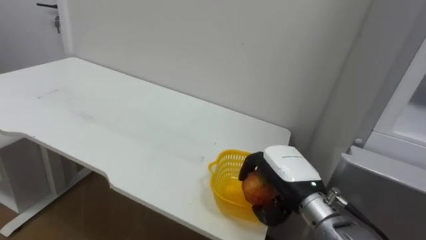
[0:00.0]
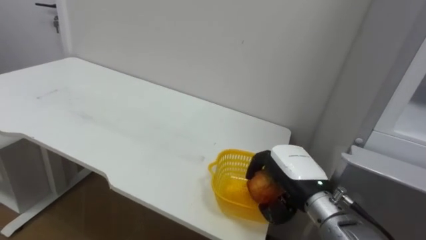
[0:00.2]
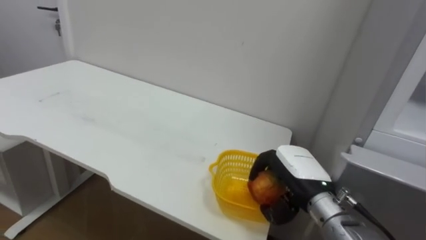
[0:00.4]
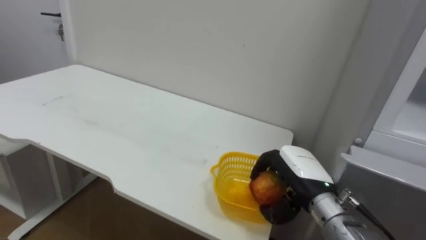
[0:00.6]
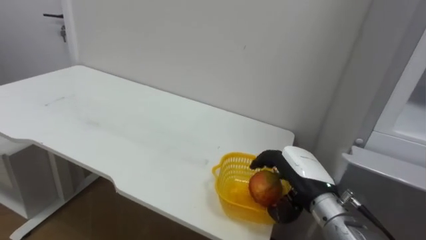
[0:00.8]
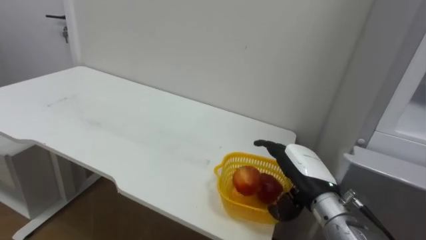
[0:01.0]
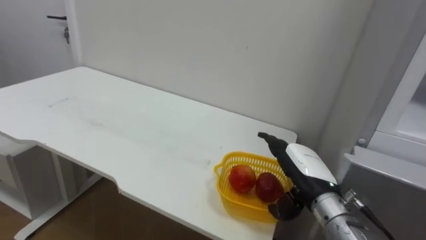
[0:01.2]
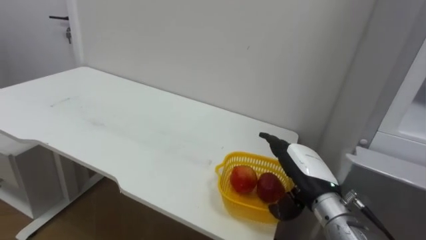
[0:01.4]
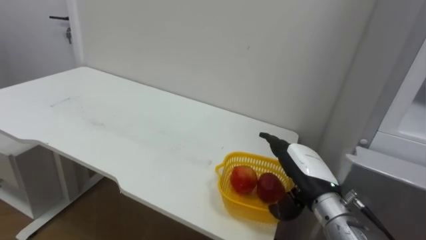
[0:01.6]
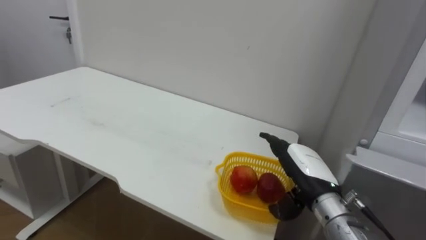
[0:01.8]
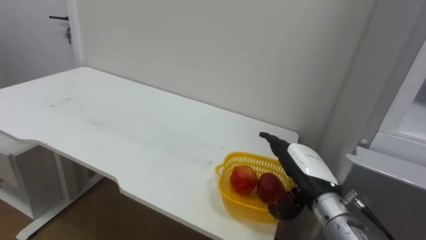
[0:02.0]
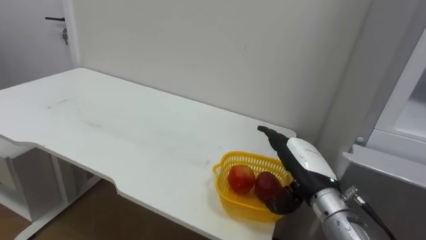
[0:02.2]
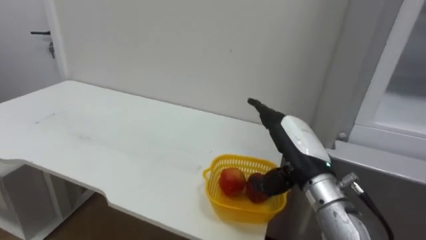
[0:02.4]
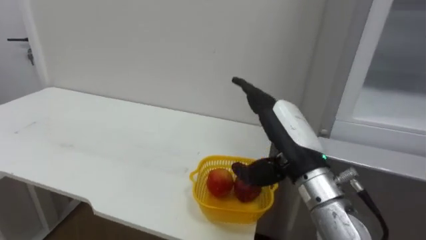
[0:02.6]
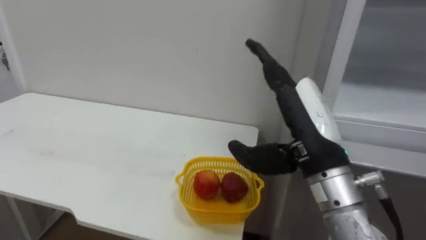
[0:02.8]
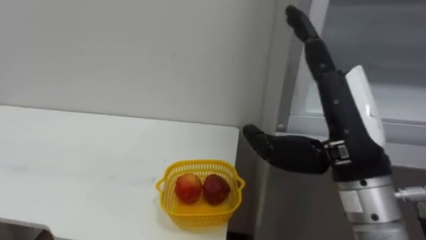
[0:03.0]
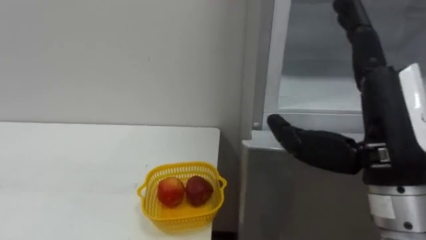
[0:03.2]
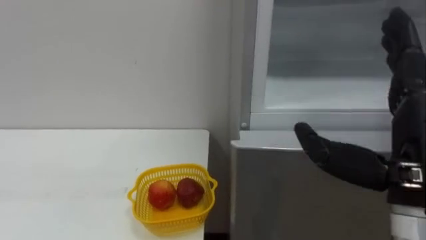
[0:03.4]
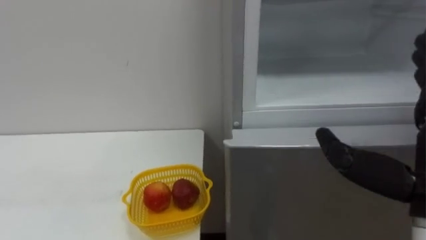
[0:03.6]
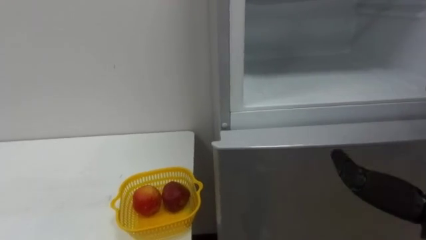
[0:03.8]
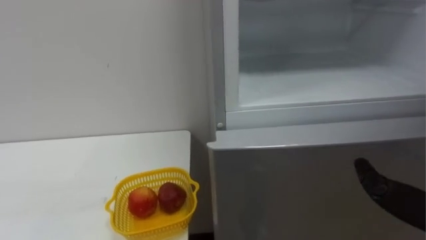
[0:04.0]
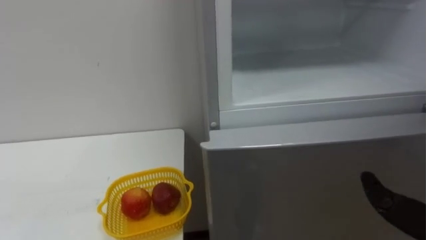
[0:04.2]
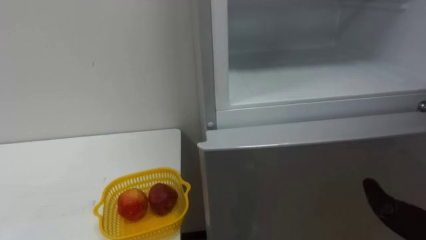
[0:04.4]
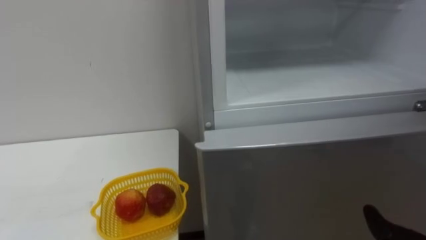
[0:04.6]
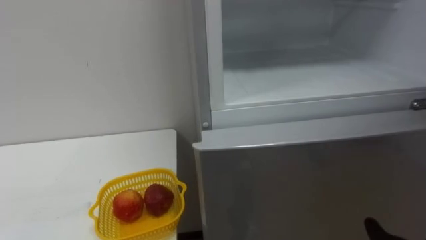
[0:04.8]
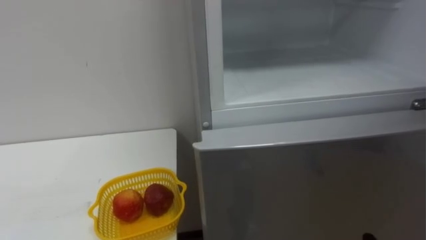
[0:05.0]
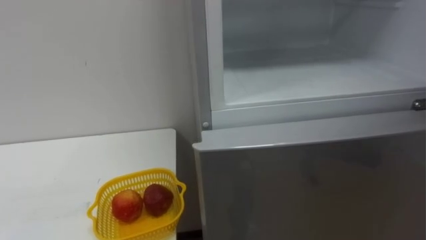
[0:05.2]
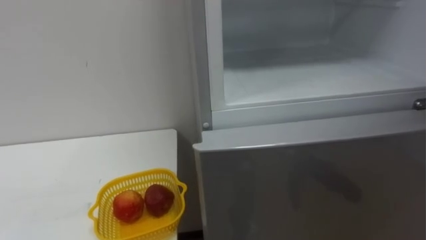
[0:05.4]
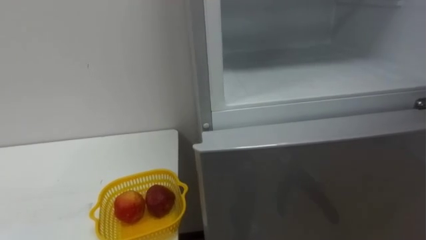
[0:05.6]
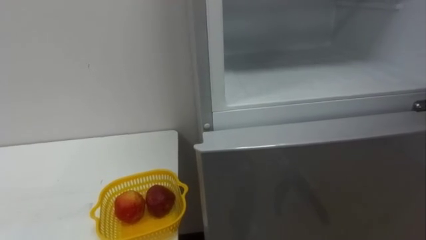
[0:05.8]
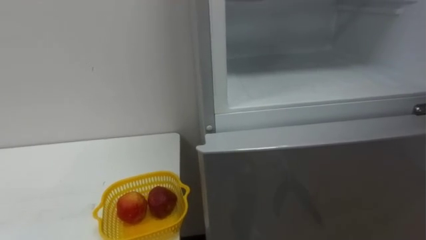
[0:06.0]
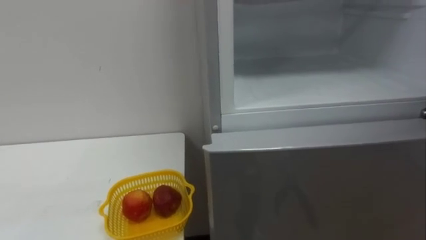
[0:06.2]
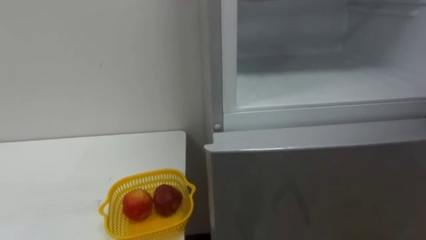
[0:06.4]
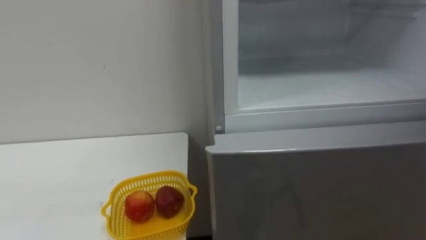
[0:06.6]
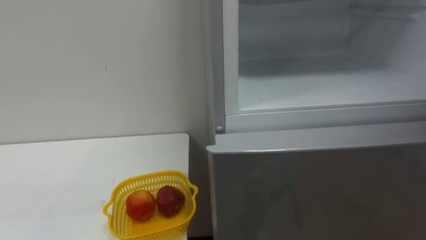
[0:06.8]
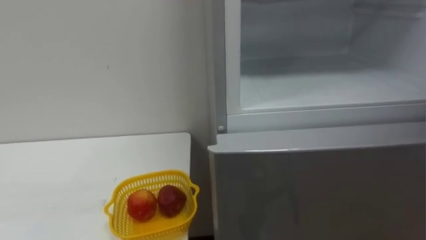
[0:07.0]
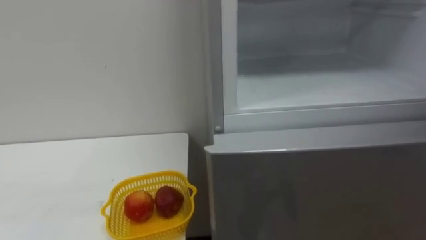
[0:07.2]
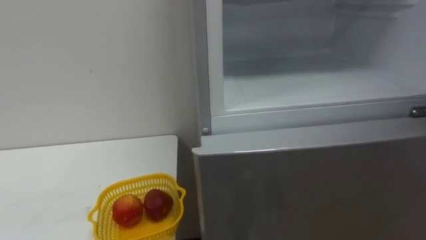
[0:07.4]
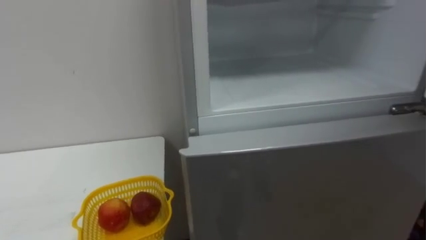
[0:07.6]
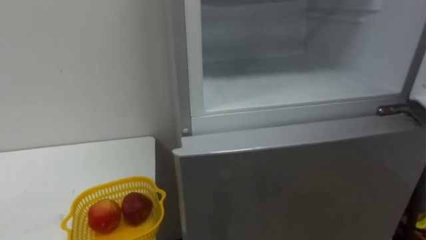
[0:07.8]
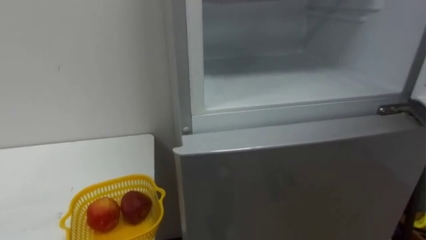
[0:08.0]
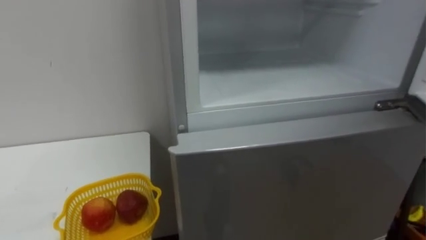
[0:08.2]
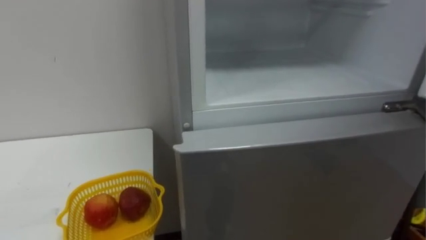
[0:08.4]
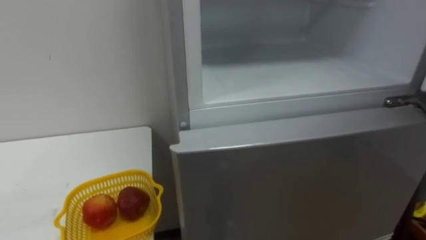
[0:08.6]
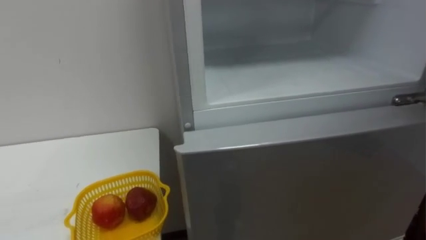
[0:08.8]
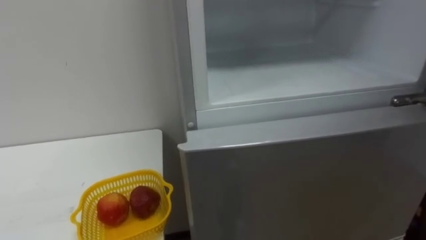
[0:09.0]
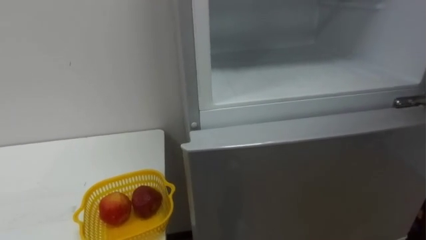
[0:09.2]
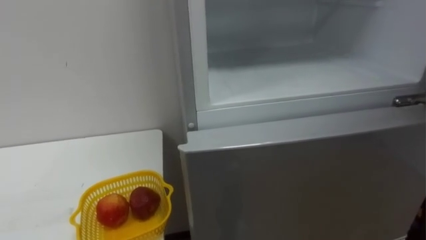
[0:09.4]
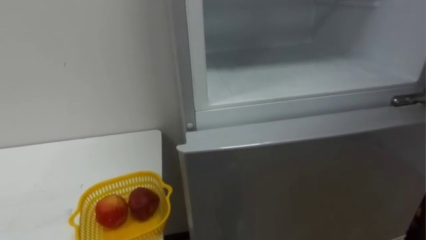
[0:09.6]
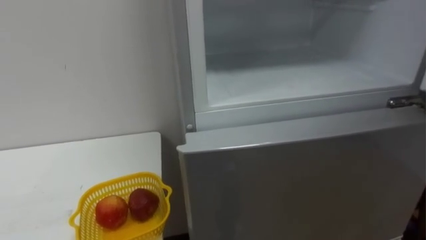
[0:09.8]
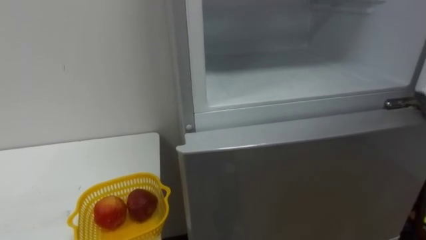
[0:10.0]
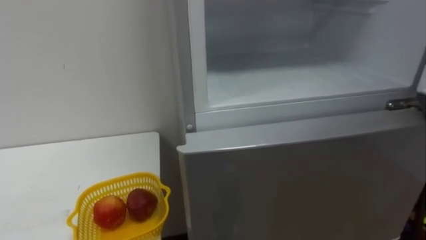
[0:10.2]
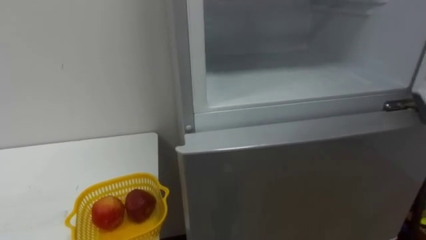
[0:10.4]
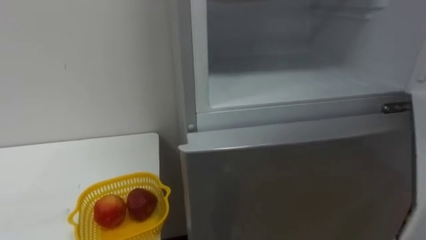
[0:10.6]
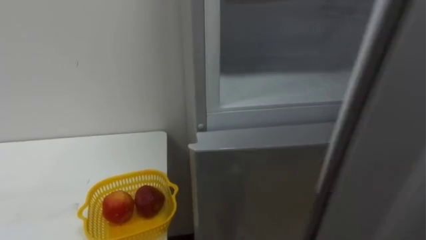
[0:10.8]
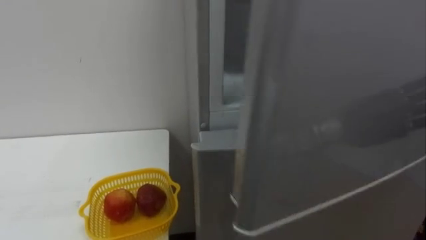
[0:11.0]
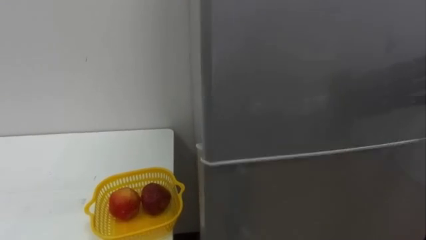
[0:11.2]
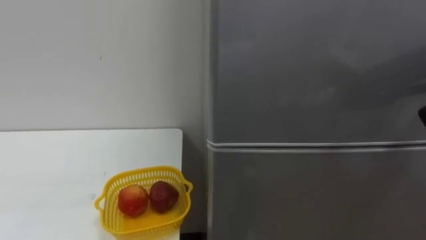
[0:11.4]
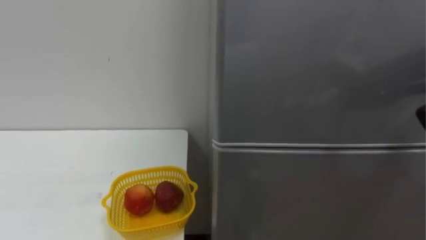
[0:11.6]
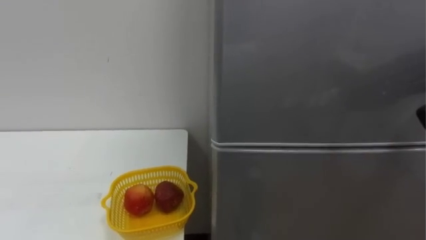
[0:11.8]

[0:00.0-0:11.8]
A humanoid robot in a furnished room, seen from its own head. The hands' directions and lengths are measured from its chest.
Task of the whole recording: Open the refrigerator door, take out the apple and the pomegranate, place them in the fruit basket on the left, and close the refrigerator door.
0:00.0 to 0:01.4: The right hand opens.
0:01.4 to 0:03.0: The right hand is displaced upward and backward by approximately 20 cm.

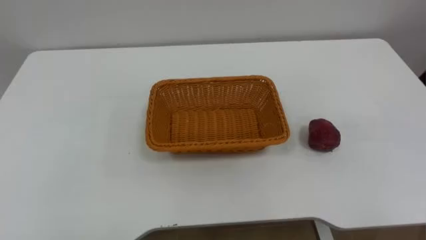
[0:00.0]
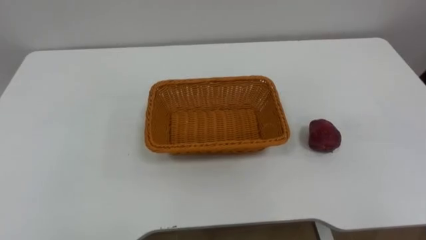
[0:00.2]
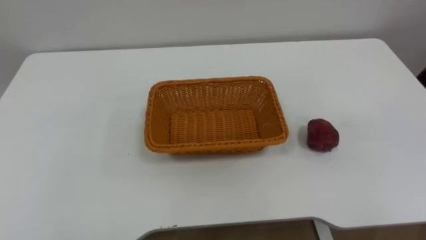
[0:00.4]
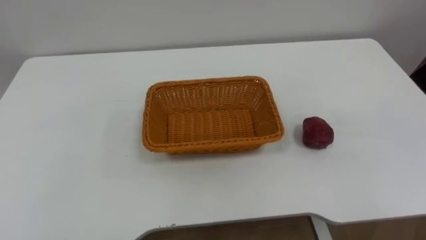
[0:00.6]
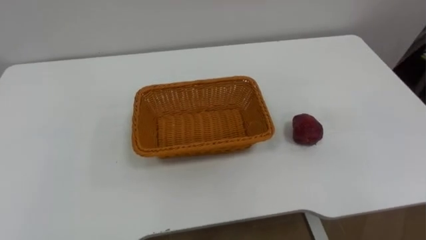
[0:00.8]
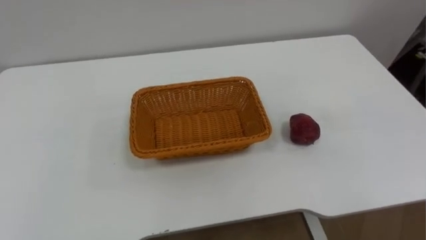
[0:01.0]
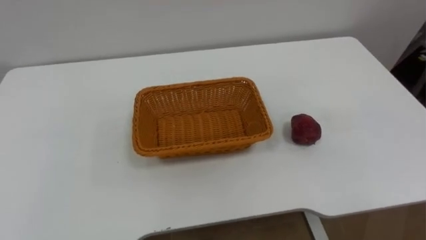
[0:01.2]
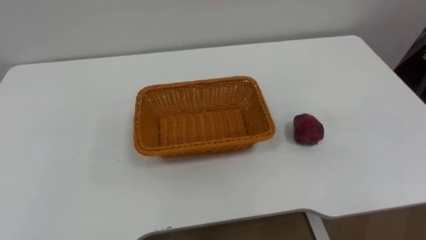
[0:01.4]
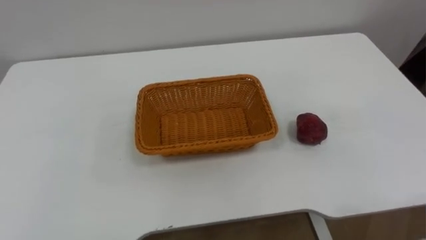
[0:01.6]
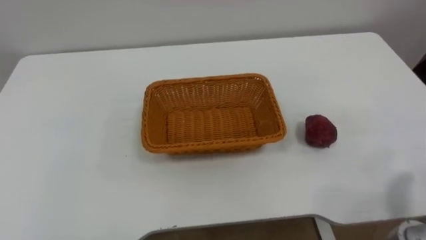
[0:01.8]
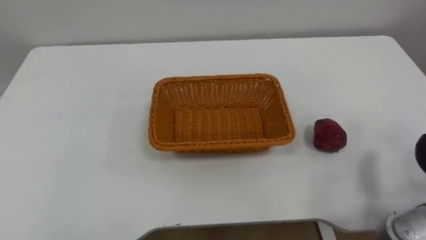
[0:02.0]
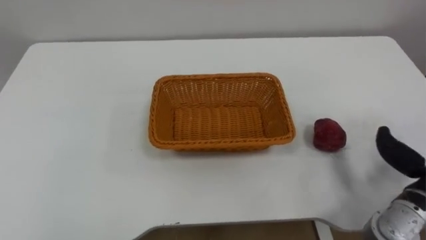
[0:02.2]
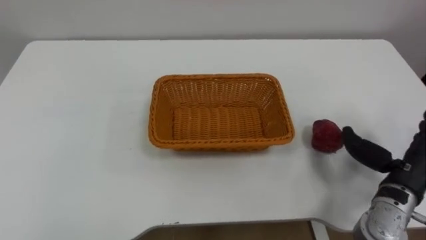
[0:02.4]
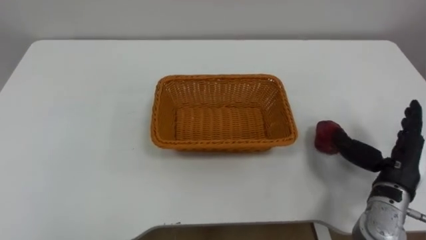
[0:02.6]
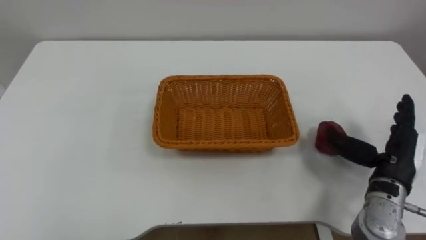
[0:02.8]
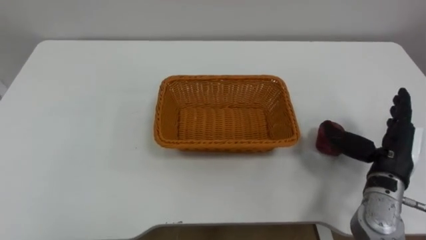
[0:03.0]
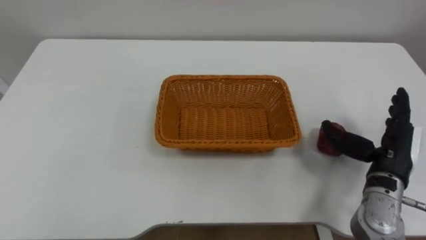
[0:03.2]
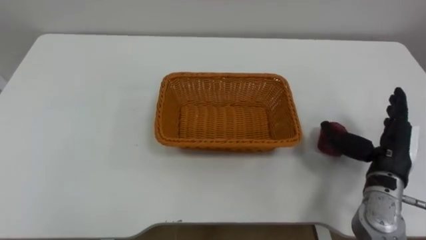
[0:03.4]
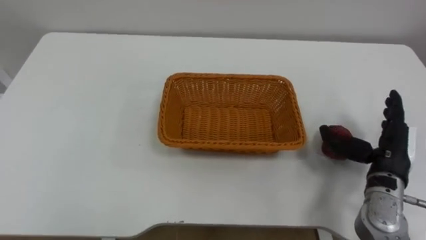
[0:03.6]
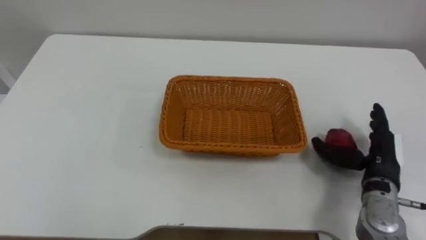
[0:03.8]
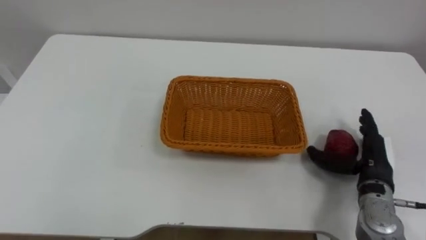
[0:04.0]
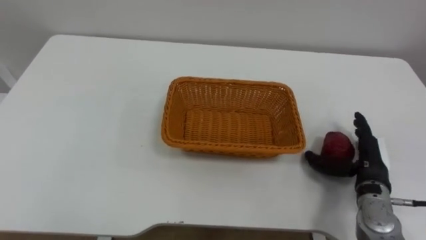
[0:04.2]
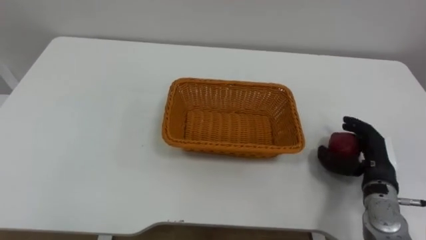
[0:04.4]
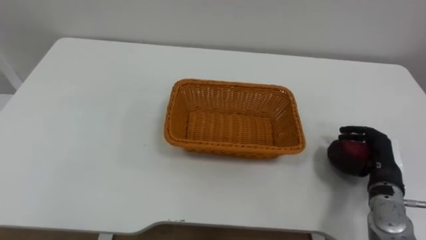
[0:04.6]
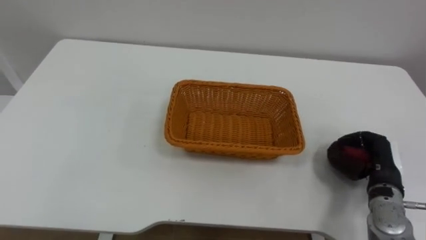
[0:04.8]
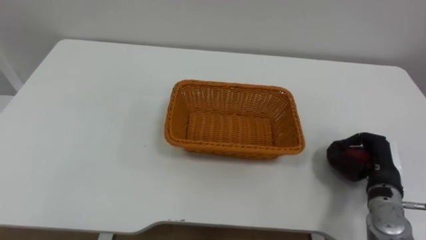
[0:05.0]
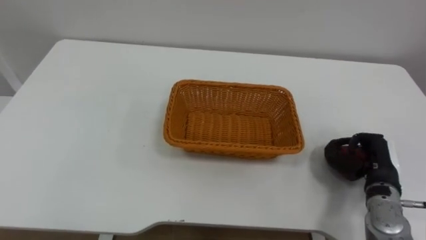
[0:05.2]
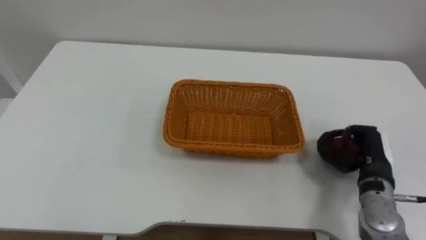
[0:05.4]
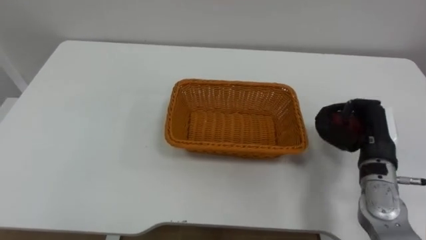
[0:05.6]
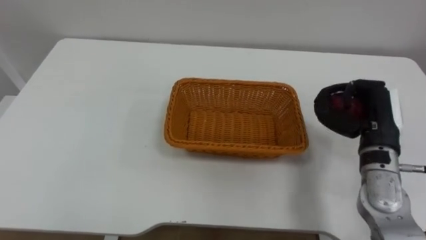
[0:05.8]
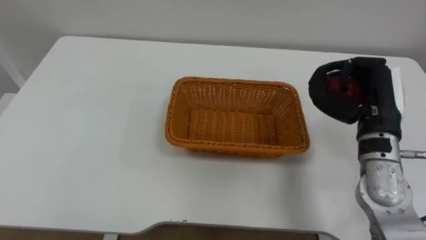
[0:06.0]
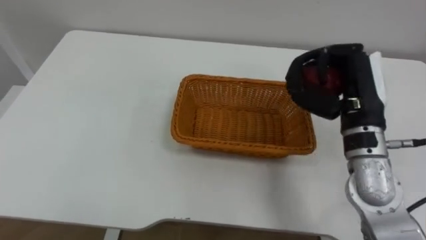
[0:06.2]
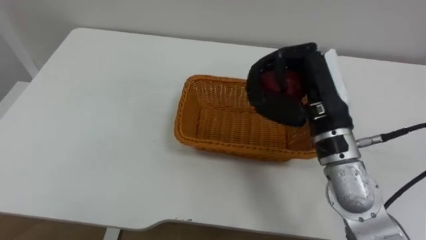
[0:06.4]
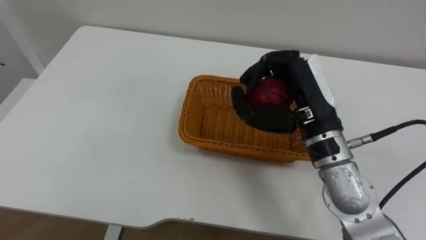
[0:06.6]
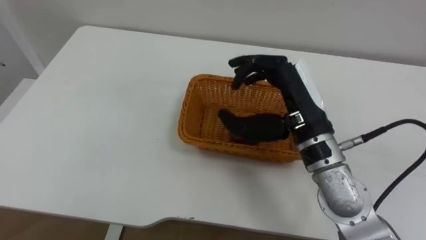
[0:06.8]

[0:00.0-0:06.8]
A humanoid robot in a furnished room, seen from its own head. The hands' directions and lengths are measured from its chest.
Task of the whole recording: Pick the apple and place it in the box.
0:04.0 to 0:05.4: The right hand closes its fingers.
0:05.4 to 0:06.8: The right hand goes roughly 25 cm to the left and upward.
